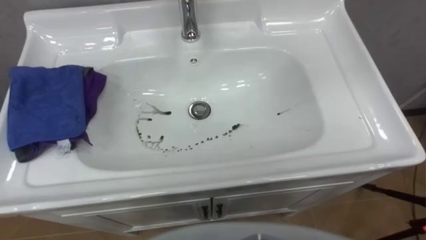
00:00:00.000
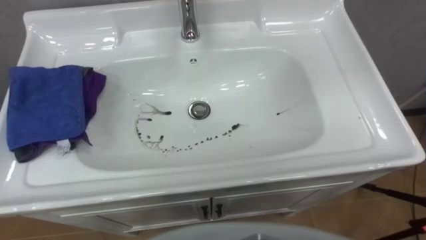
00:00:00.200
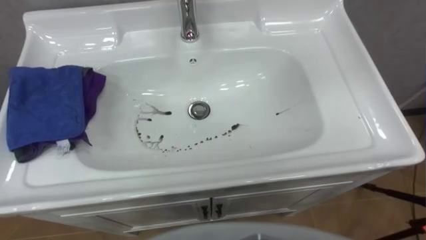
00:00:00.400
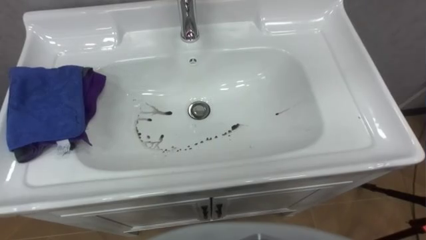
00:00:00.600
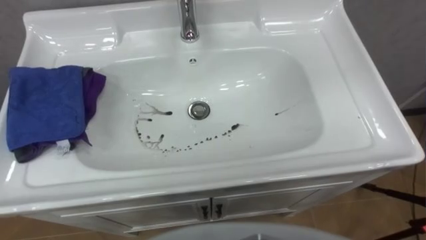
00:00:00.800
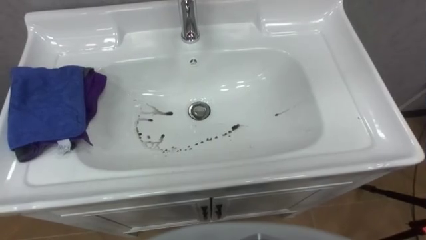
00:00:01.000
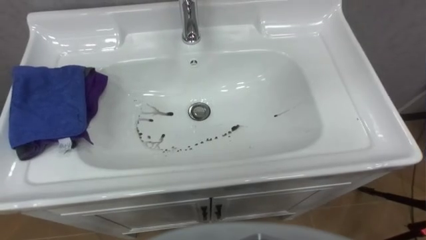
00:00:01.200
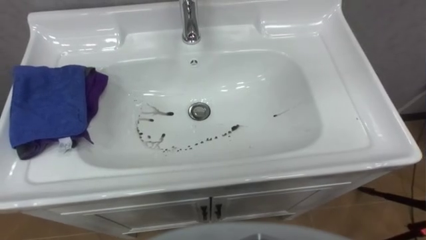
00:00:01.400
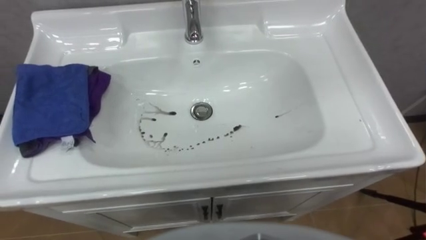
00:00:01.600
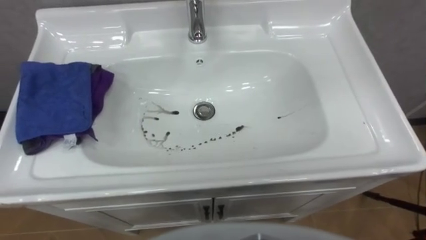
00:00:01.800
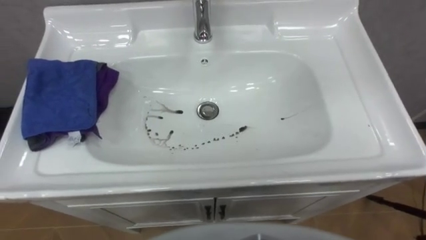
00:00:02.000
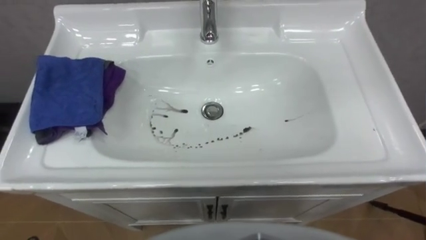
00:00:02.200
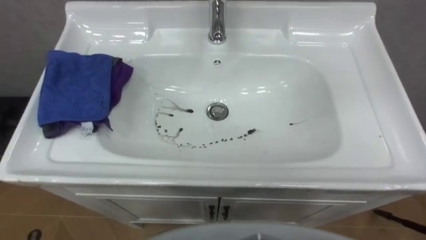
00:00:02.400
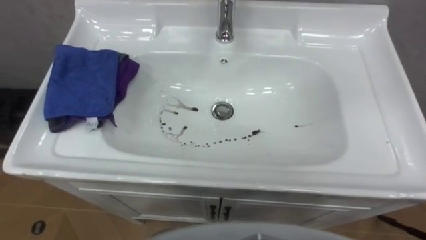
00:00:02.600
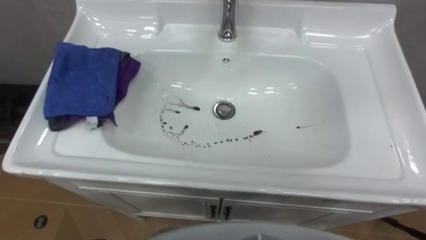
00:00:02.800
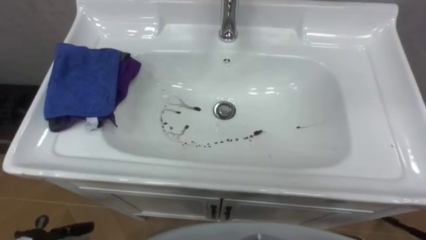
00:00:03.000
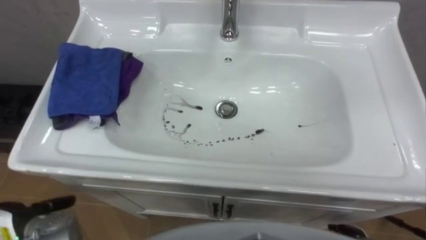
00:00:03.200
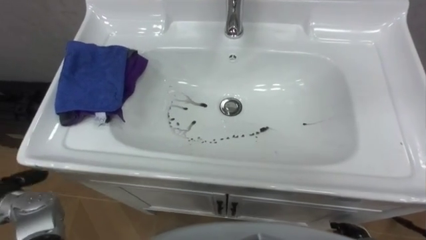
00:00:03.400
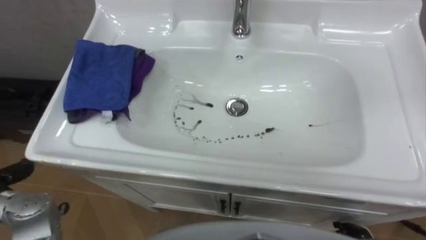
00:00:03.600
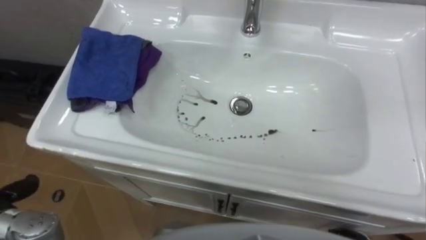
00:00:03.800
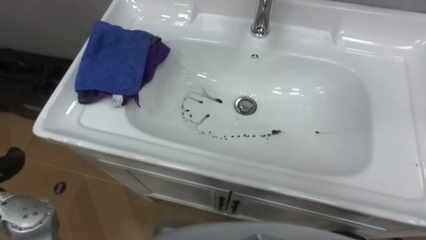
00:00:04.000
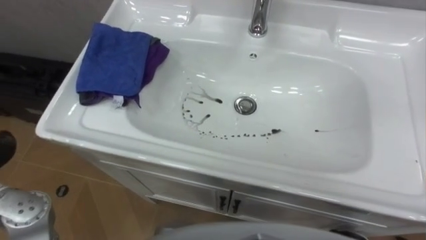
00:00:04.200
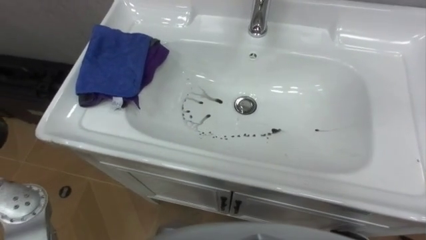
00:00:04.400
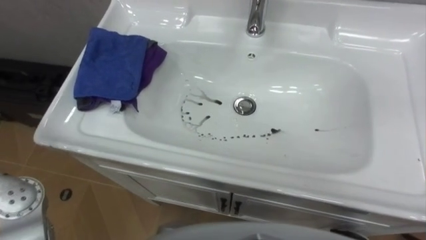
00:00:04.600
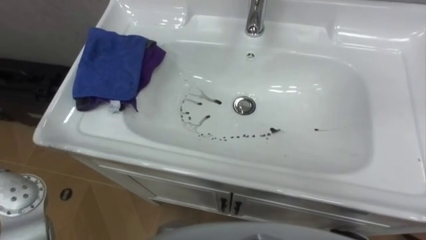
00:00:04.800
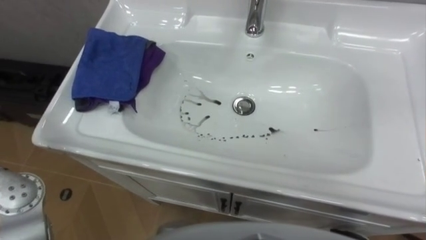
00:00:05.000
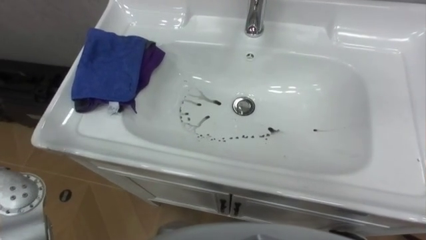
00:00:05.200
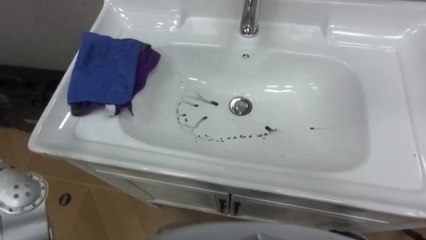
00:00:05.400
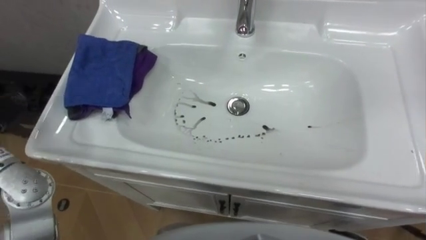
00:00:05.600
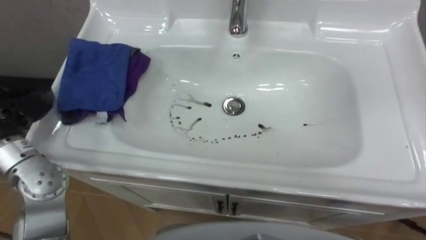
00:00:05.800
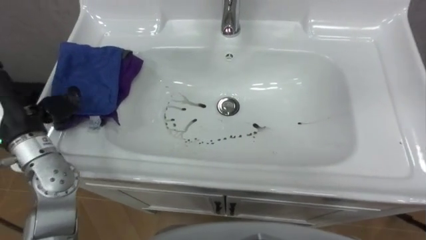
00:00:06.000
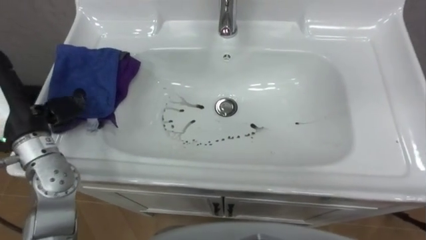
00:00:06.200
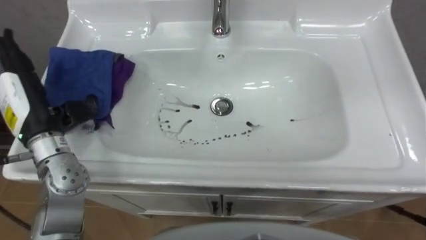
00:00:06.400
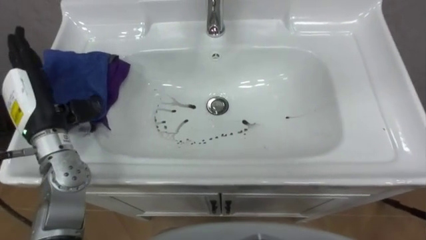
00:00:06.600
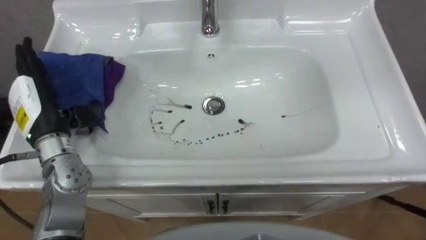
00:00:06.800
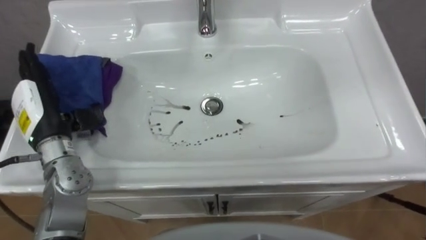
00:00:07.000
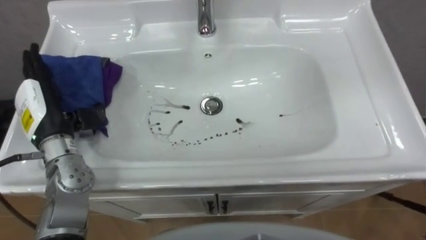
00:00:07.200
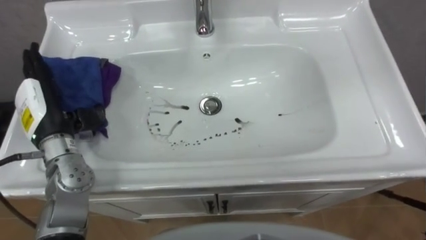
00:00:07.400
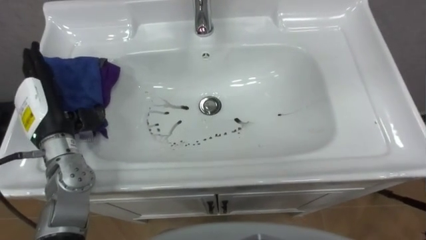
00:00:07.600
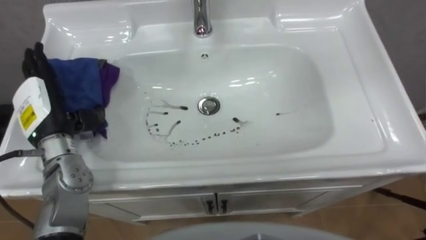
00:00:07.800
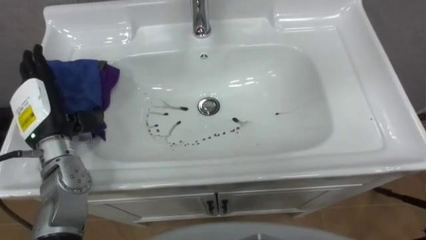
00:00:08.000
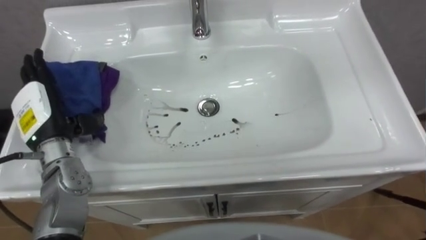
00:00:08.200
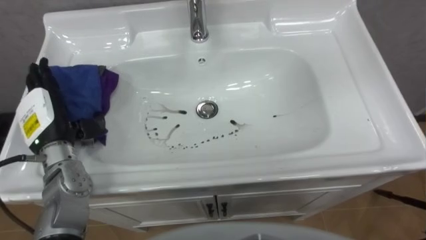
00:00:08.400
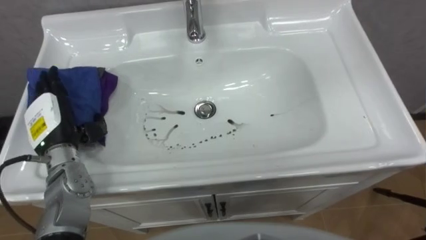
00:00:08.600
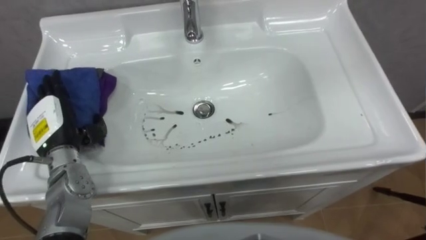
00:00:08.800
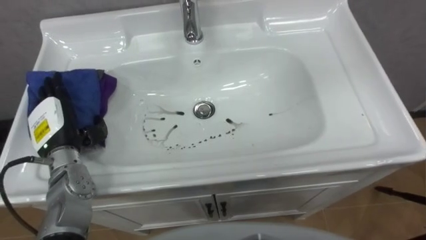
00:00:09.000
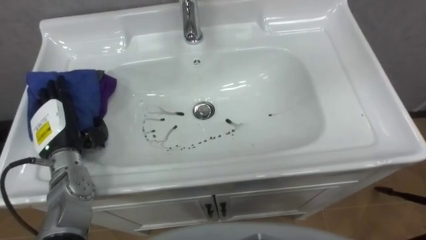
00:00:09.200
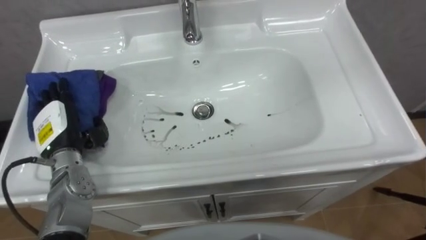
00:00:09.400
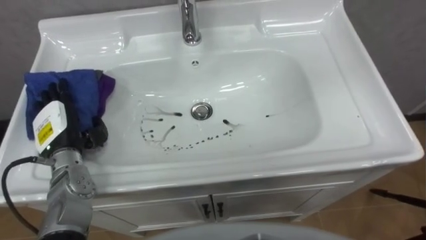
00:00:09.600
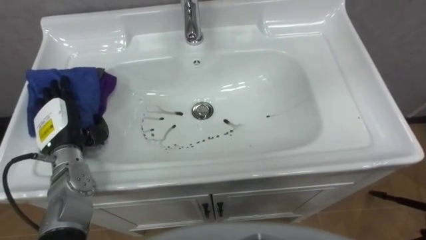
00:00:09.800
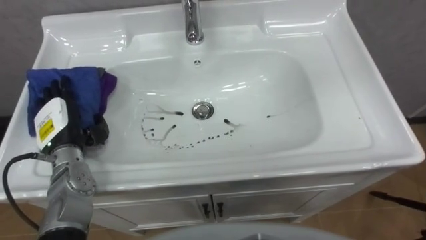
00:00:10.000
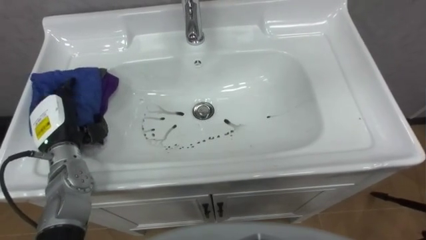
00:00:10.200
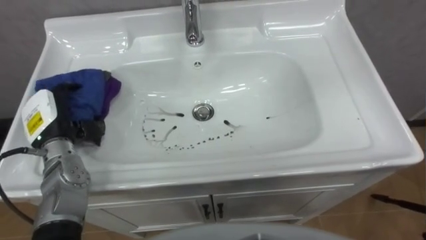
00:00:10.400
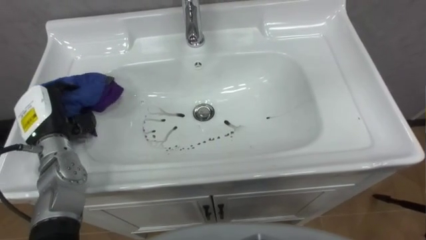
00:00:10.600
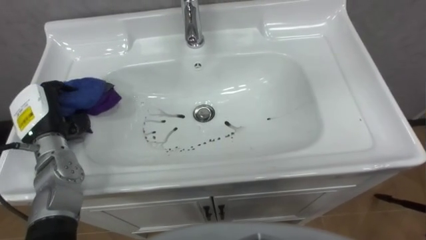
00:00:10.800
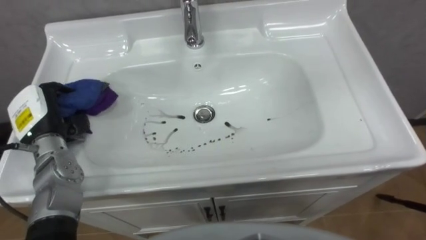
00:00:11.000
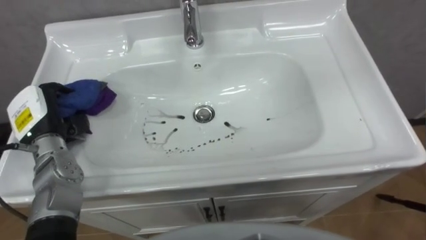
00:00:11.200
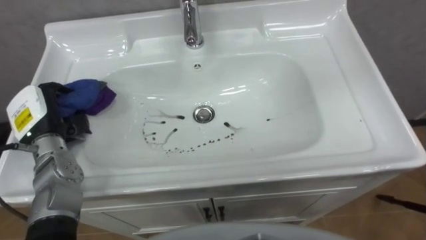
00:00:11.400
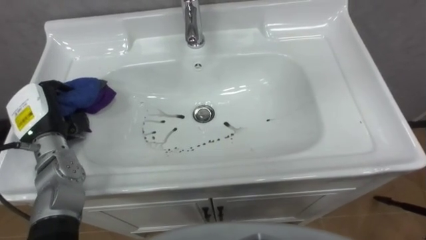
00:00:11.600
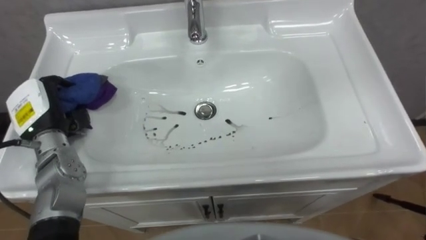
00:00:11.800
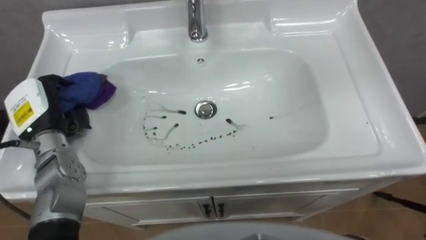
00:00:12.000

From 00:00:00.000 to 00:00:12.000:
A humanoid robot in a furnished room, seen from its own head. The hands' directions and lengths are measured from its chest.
Task of the whole recording: Use the cloth on the right to wipe away the black stain in the sink.
From 00:00:06.000 to 00:00:07.600: The left hand moves about 5 cm.
From 00:00:07.600 to 00:00:09.000: The left hand goes approximately 5 cm downward.
From 00:00:09.000 to 00:00:10.400: The left hand closes.
From 00:00:10.400 to 00:00:12.000: The left hand closes up.

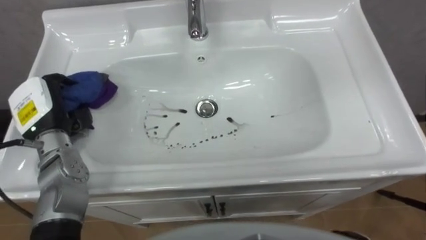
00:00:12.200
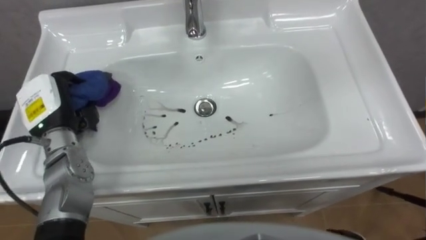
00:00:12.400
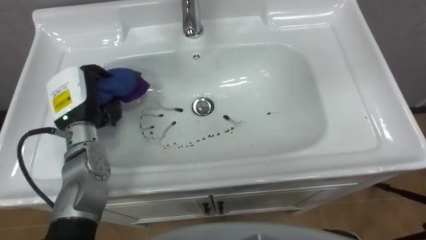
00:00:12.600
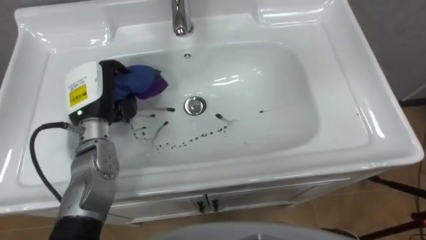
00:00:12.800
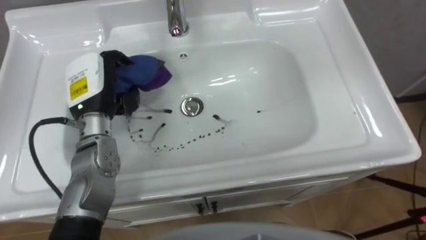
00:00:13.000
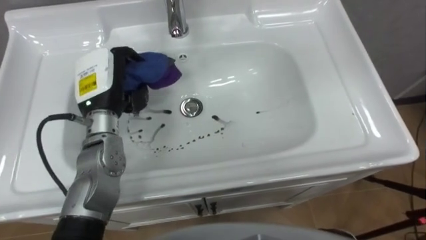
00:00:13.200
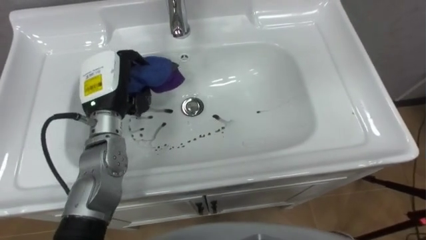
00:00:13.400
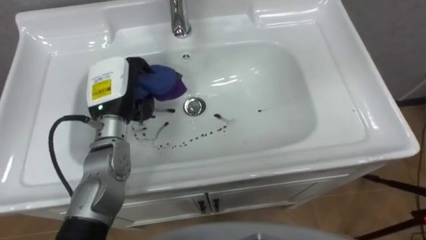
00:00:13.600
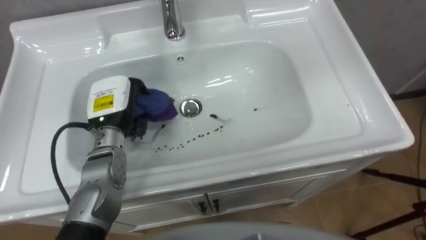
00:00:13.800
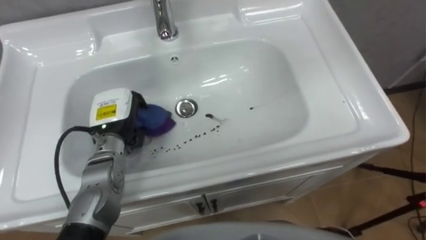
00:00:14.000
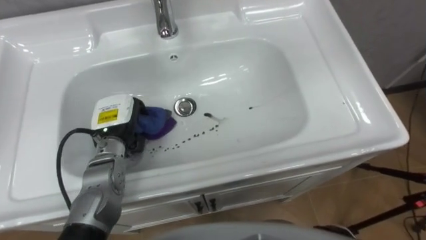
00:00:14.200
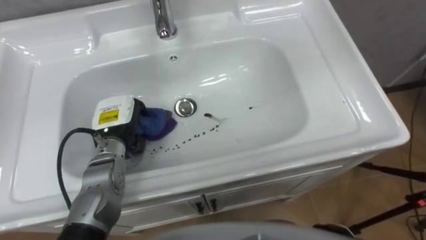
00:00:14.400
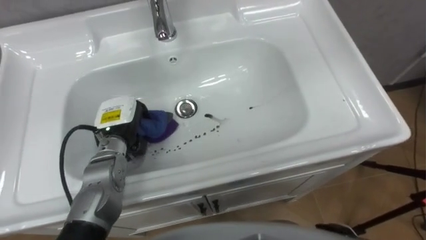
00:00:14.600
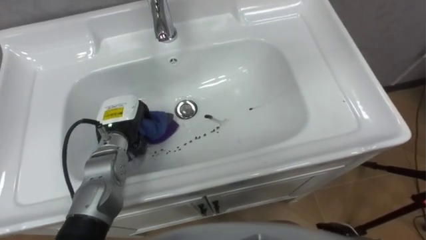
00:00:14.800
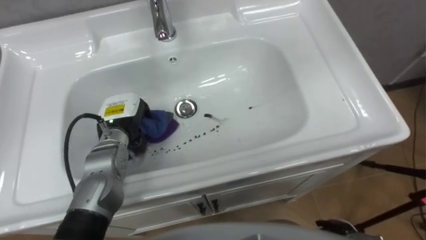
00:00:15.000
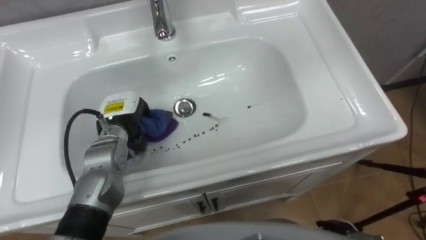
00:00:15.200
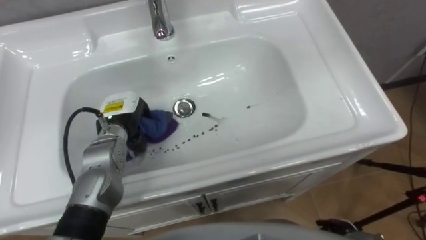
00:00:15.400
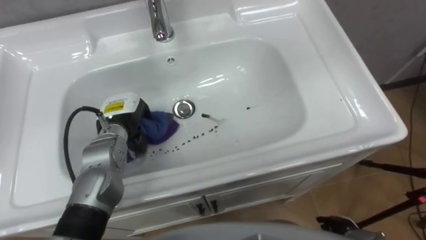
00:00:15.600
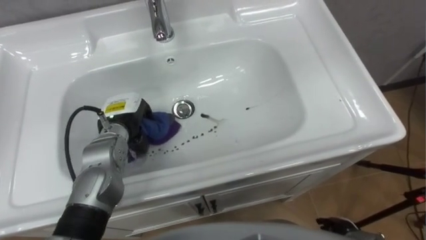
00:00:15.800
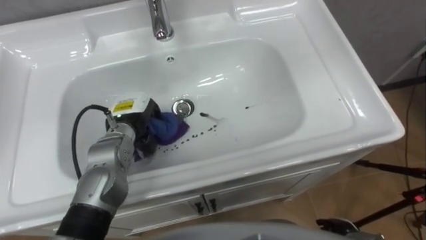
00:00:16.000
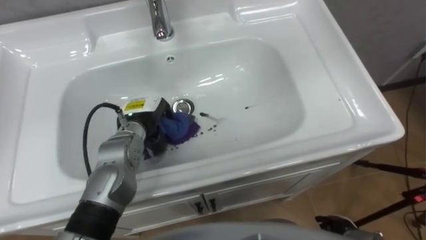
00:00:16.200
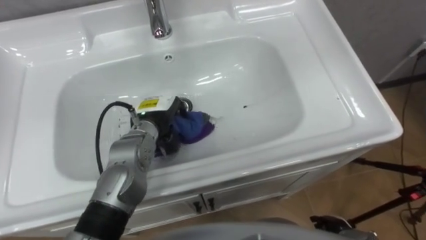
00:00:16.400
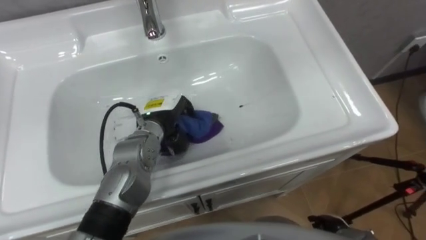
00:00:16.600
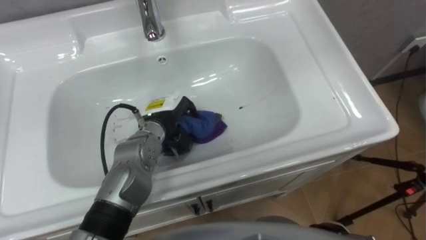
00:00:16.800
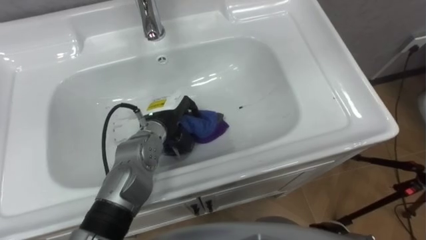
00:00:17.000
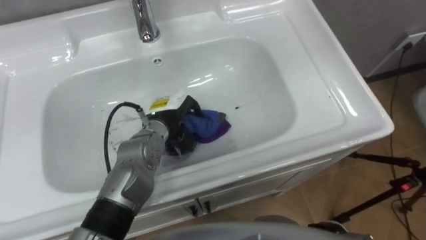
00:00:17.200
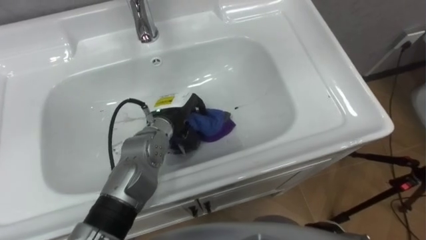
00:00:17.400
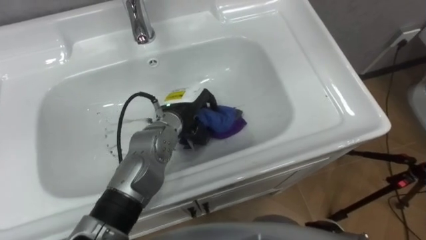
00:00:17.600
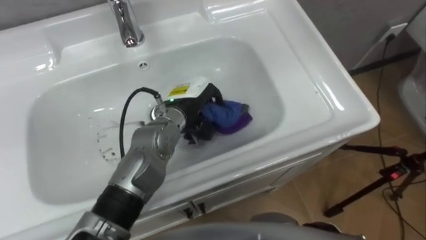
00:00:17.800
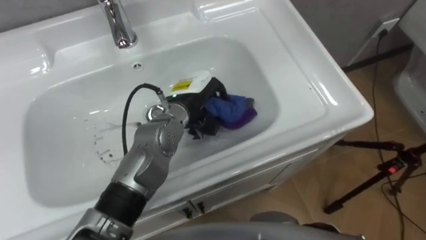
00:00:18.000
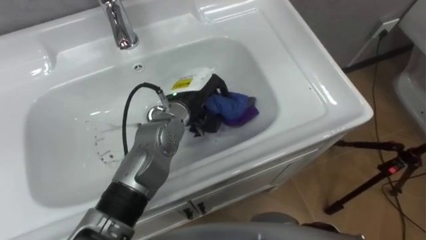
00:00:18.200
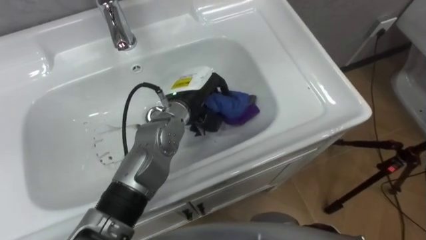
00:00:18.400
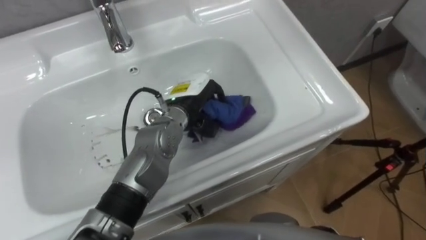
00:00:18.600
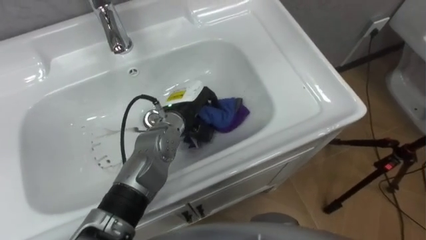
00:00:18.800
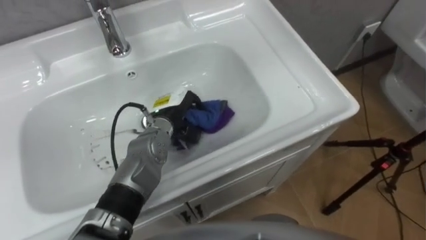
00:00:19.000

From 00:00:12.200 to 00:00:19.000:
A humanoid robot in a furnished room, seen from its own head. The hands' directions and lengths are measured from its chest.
Task of the whole recording: Use the cloth on the right to wipe away the black stain in the sink.
From 00:00:12.200 to 00:00:13.600: The left hand heads to the right, covering roughly 10 cm.
From 00:00:13.600 to 00:00:15.000: The left hand heads downward, covering about 10 cm.
From 00:00:16.200 to 00:00:17.600: The left hand heads to the right, covering about 10 cm.
From 00:00:17.600 to 00:00:19.000: The left hand ends up approximately 5 cm from where it was.